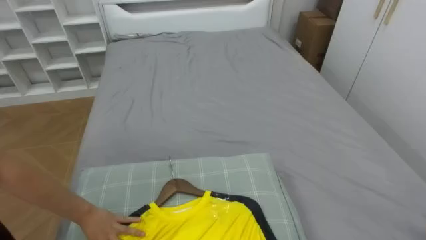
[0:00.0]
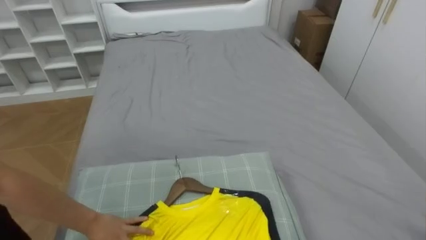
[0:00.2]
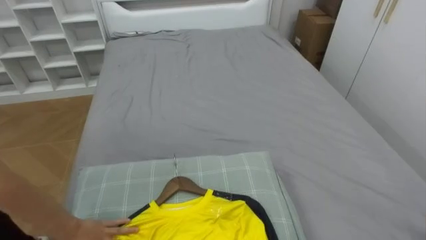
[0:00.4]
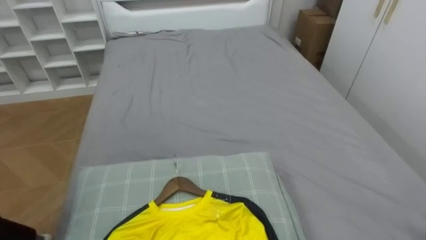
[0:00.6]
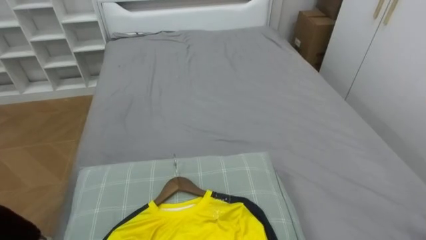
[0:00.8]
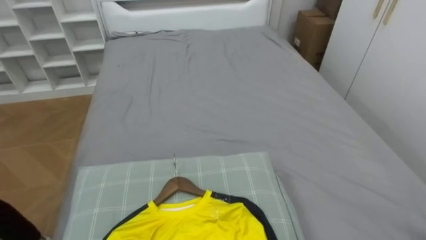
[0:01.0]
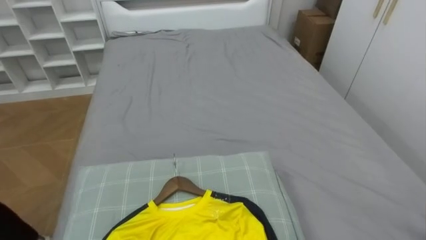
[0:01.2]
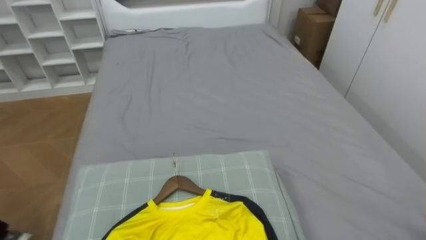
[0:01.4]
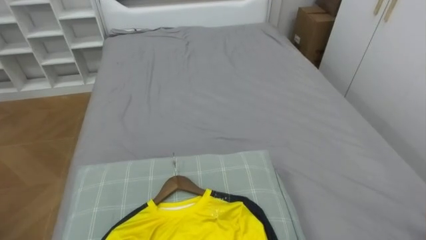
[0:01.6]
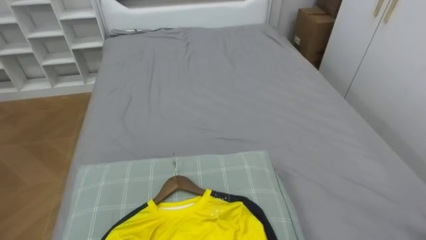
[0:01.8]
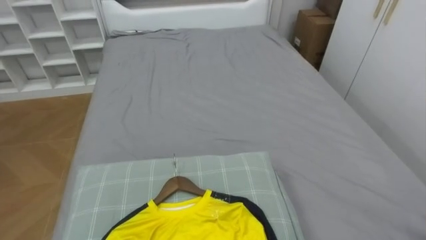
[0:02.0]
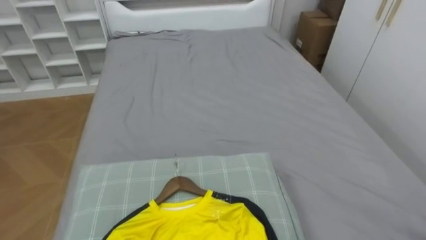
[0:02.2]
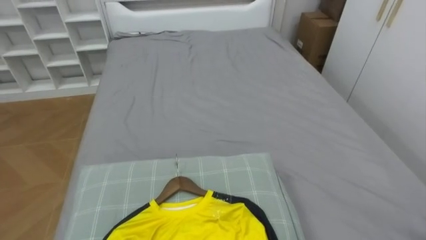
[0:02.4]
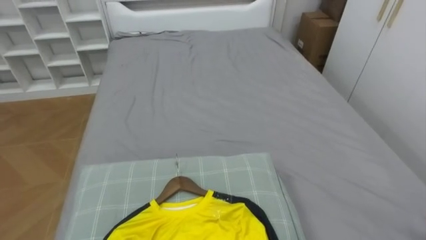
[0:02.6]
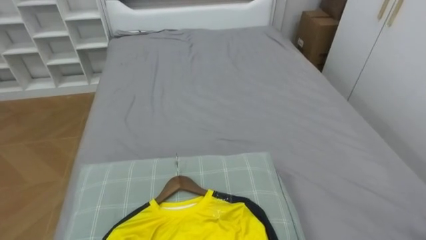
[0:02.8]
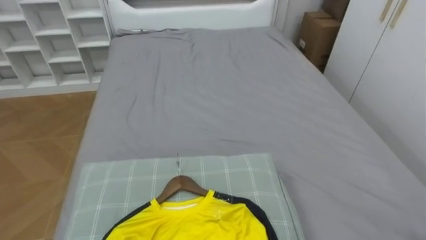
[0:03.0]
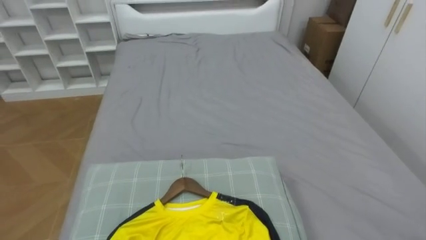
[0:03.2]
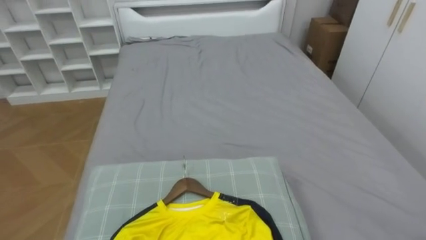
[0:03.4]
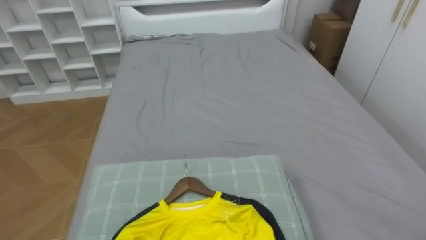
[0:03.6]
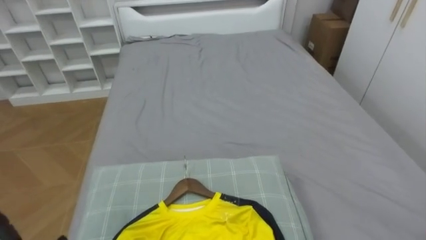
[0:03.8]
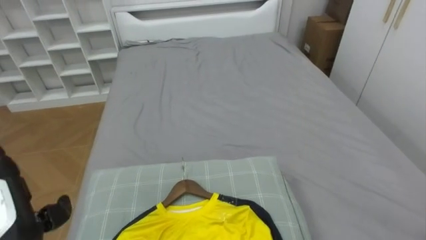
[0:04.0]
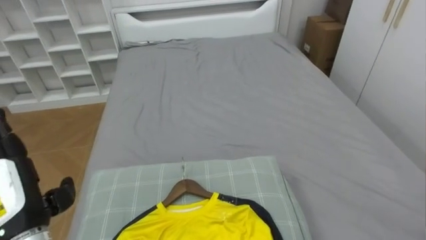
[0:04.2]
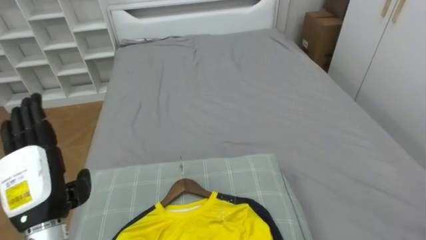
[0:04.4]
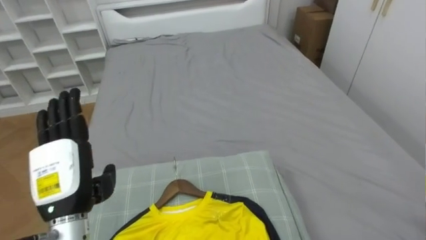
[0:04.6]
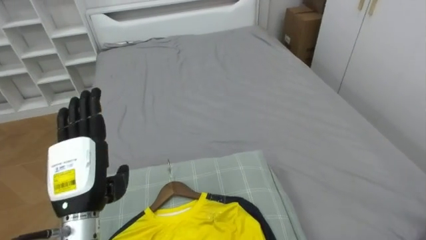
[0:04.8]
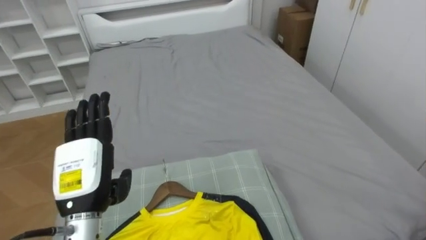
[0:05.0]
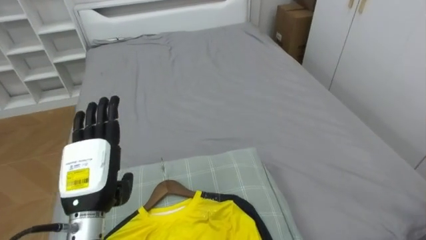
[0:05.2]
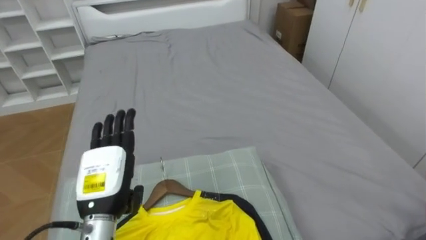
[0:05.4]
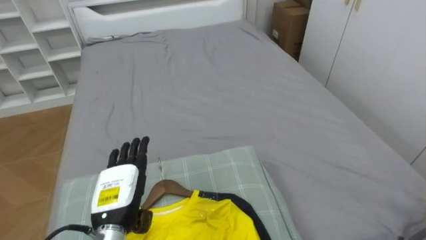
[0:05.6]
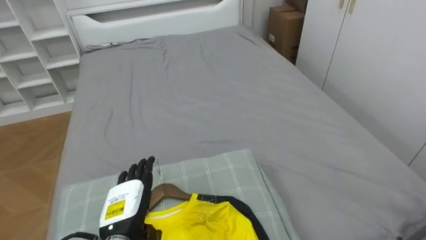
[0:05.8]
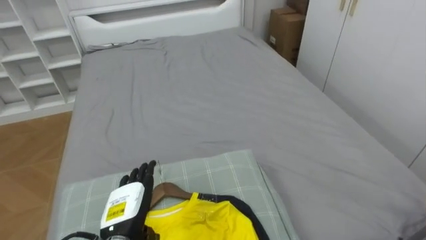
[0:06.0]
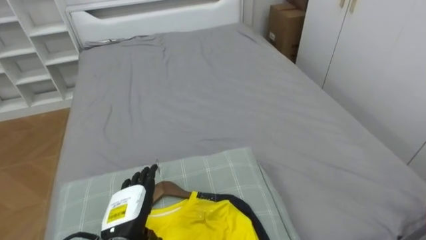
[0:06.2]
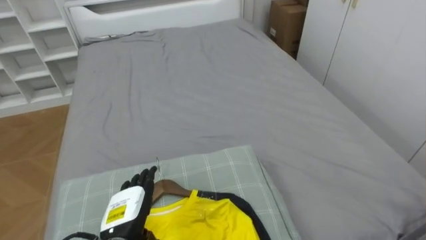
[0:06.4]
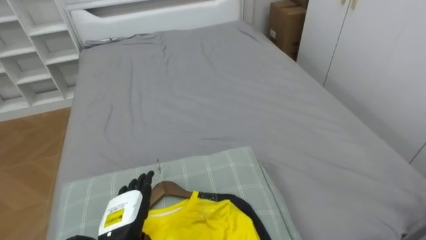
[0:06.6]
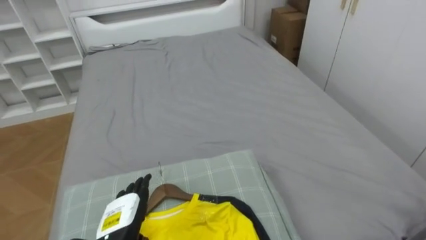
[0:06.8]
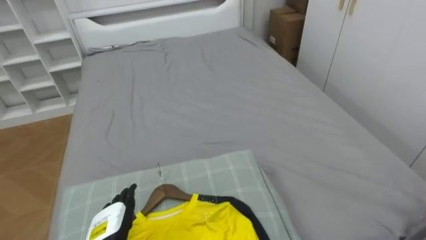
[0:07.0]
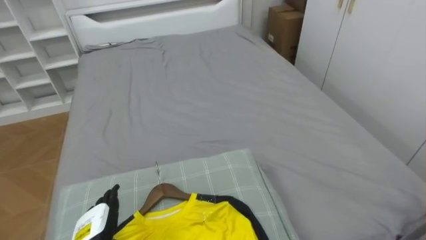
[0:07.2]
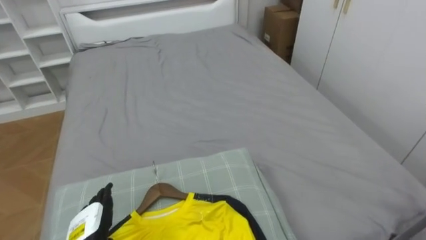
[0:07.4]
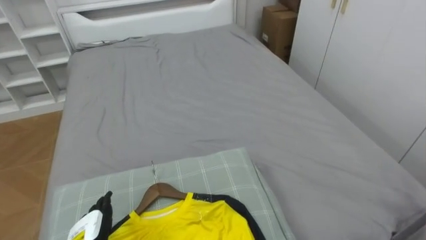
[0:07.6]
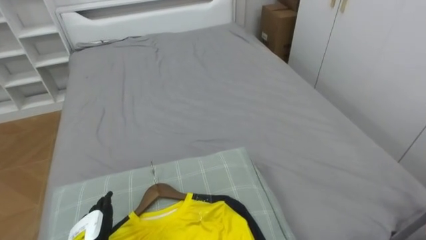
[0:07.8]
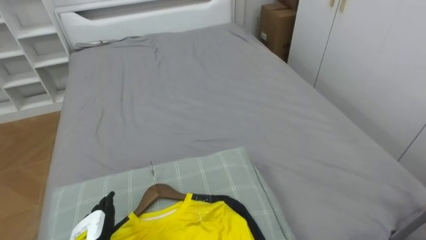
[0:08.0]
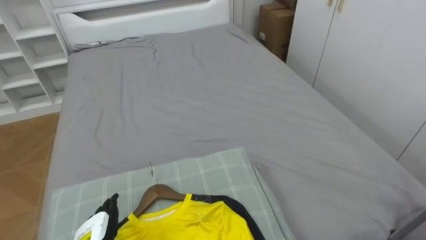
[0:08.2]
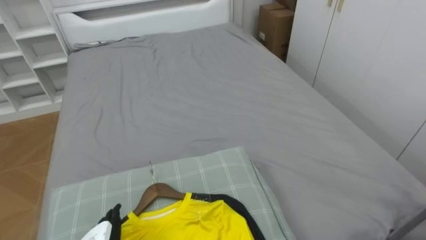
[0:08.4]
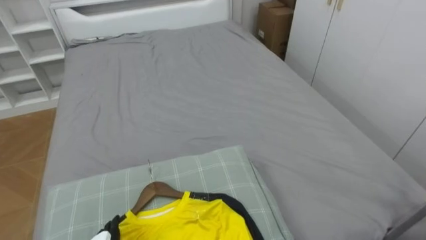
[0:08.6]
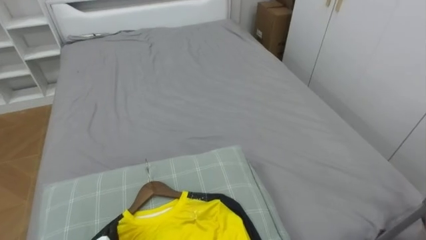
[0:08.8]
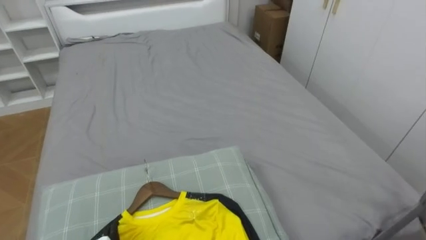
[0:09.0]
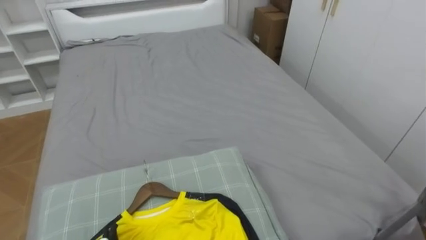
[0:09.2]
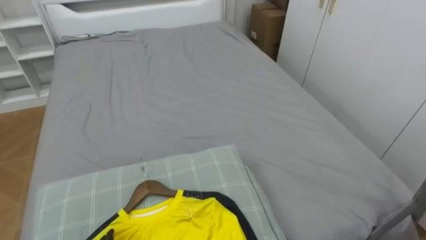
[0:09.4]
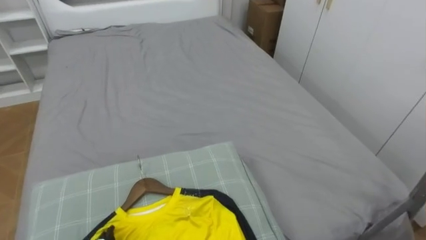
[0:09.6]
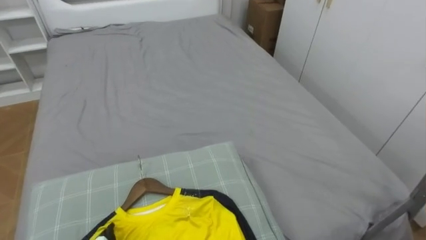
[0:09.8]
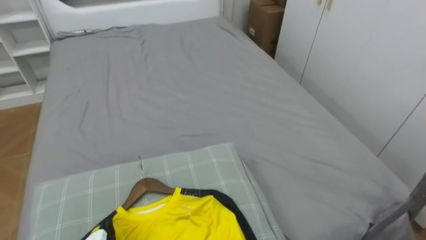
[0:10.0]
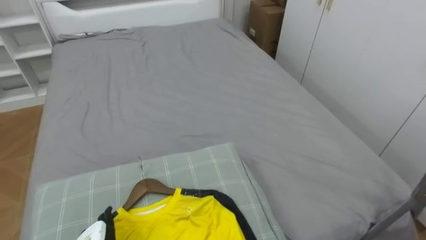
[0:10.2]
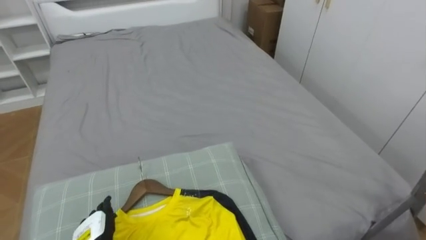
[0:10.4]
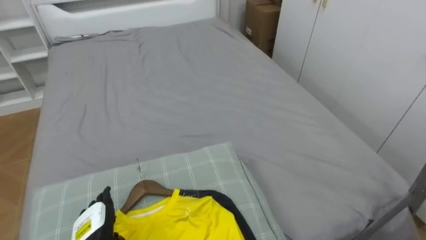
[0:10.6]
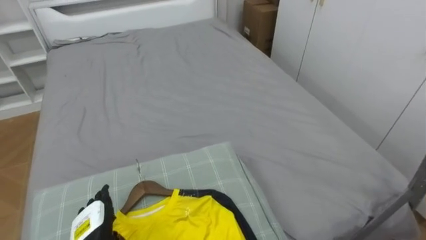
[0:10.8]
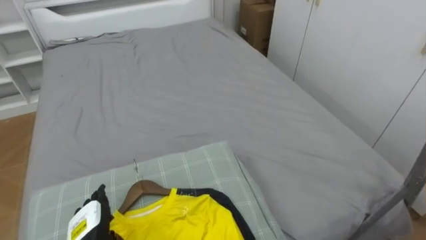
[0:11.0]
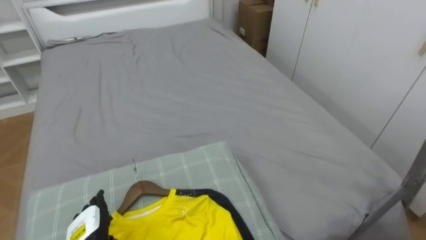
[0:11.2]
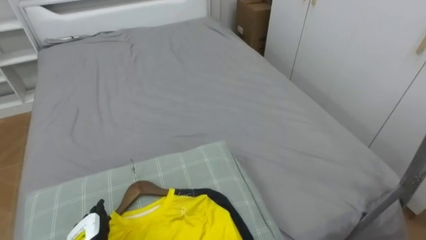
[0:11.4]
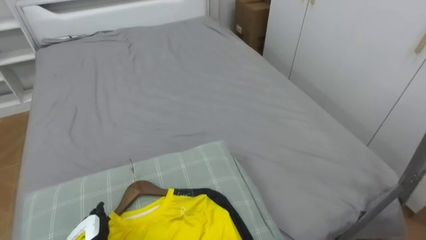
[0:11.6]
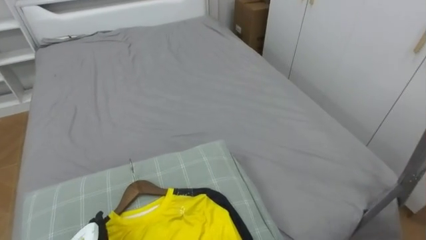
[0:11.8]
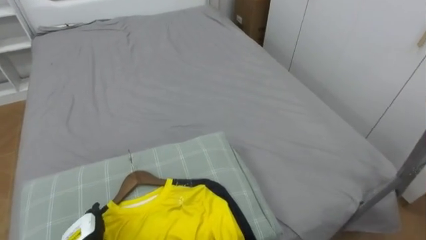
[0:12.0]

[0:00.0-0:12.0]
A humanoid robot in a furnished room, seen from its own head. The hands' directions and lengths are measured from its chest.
Task of the whole recording: Pick up the yellow shirt on the bed and hang it on the clothes rack on the right.
0:04.4 to 0:06.0: The left hand is displaced downward and to the right by roughly 15 cm.

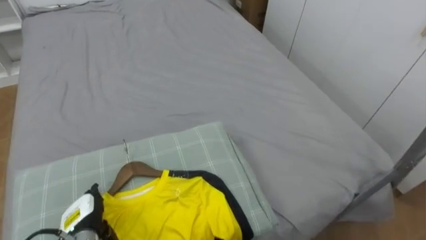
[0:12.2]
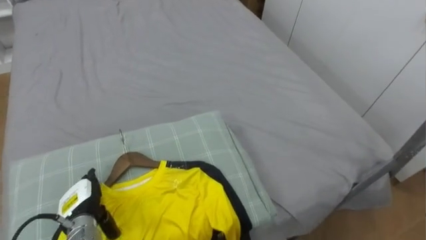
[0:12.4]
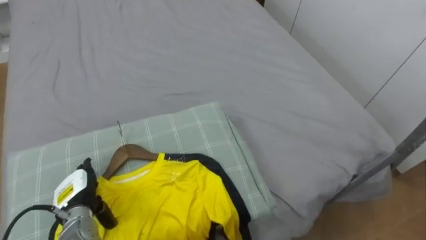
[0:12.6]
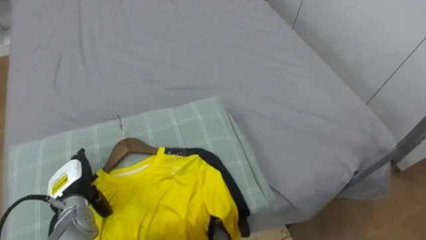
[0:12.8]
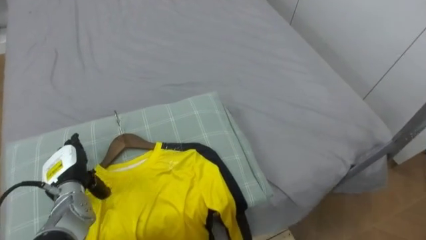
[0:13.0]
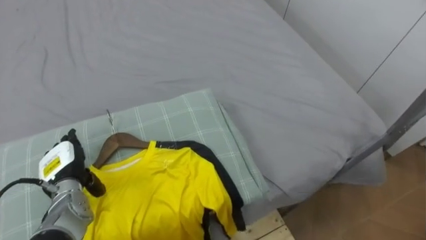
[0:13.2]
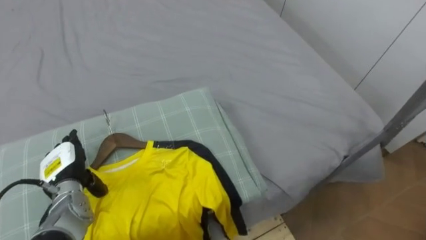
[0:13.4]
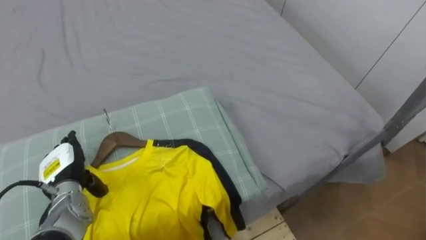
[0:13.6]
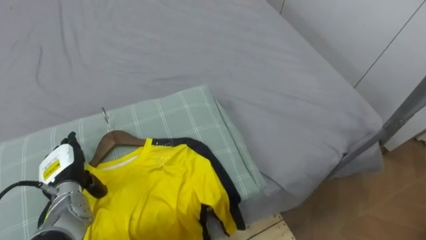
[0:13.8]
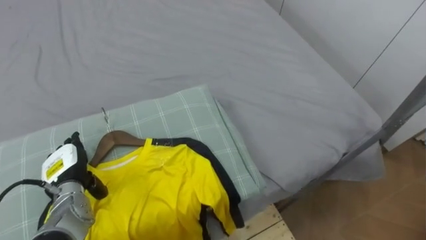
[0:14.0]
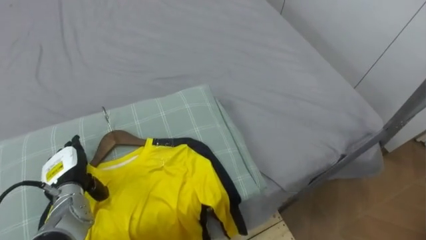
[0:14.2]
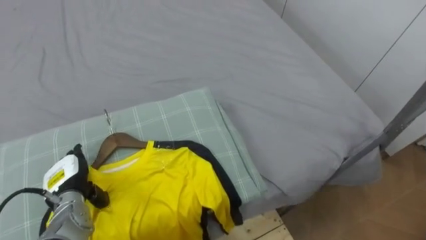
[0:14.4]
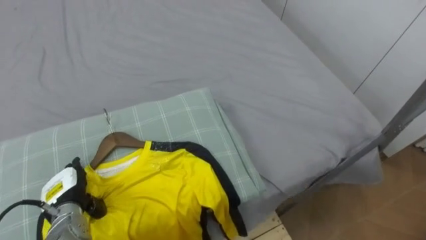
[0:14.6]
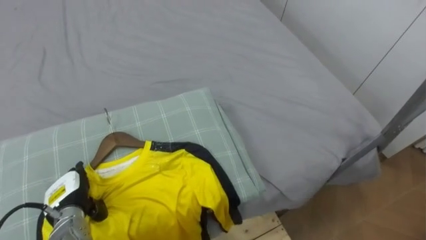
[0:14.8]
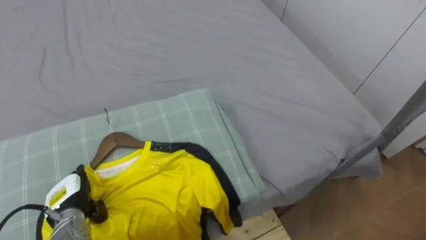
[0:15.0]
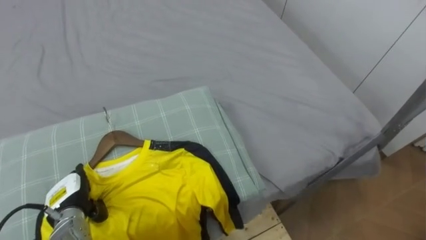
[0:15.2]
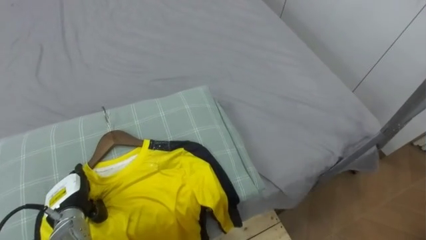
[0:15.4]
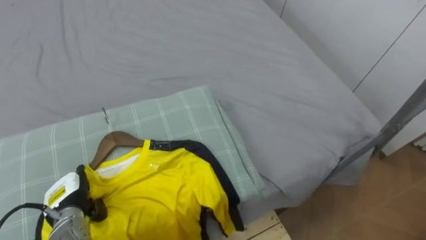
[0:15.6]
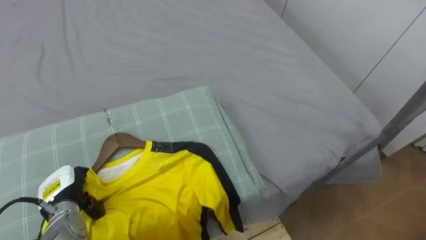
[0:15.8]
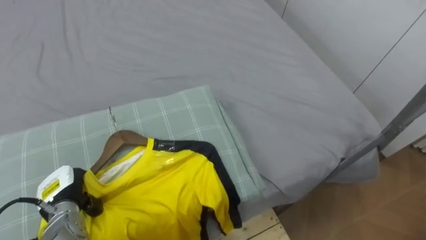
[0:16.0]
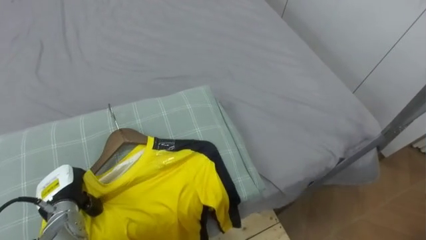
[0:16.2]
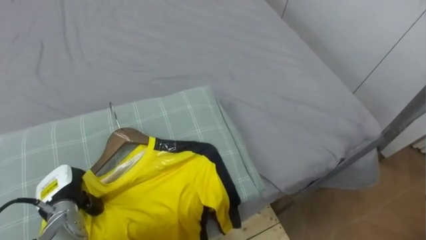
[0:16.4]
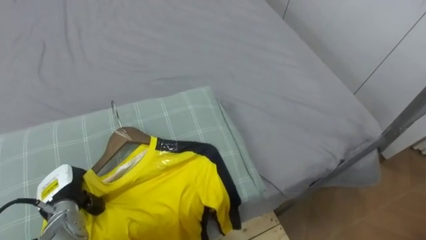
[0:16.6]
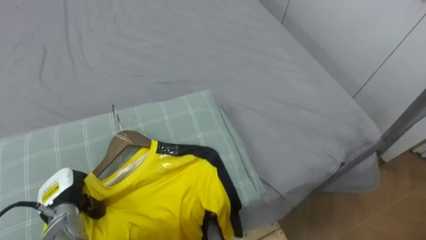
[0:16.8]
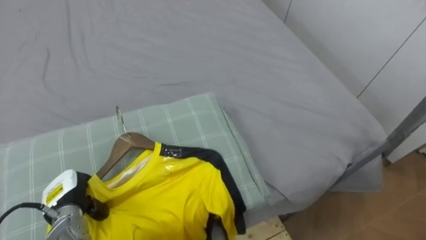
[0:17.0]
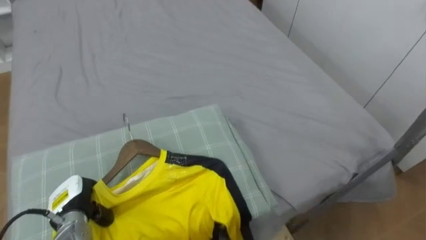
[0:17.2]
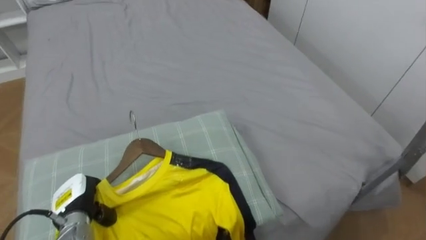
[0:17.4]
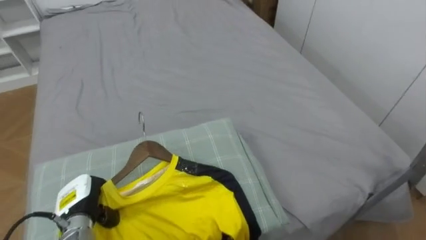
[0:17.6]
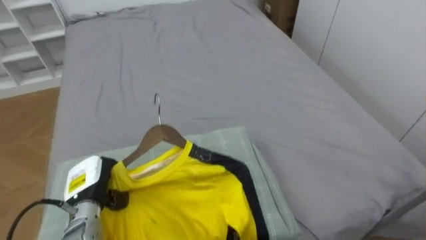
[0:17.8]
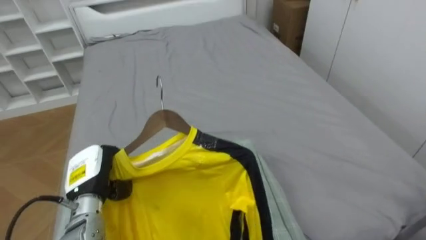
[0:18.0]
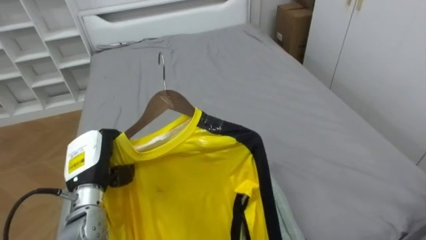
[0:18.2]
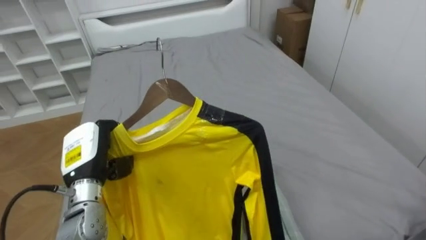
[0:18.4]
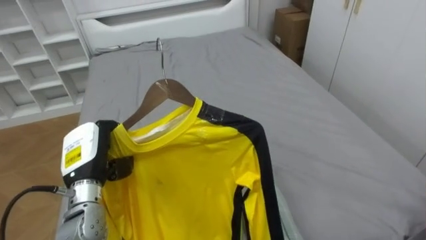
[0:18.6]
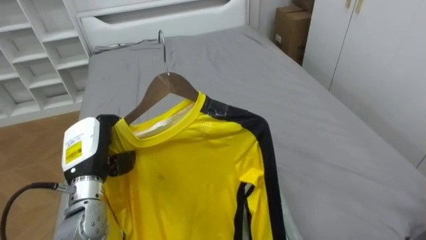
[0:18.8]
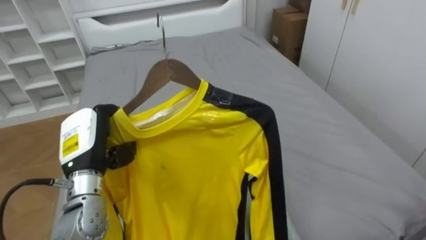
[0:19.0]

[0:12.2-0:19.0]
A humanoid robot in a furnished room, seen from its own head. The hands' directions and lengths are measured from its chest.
Task of the whole recording: Pick up the yellow shirt on the bed and hang it on the clothes rack on the right.
0:12.2 to 0:13.6: The left hand heads upward and forward, covering some 10 cm.
0:13.6 to 0:15.0: The left hand moves downward, about 5 cm.
0:15.0 to 0:16.2: The left hand closes up.
0:17.6 to 0:19.0: The left hand goes roughly 15 cm upward.
